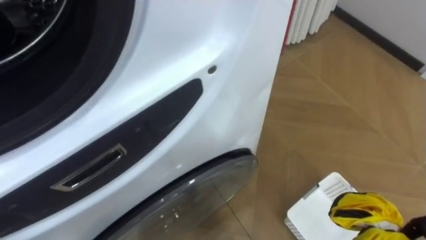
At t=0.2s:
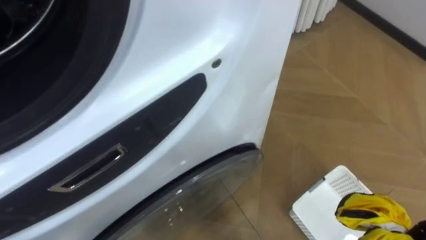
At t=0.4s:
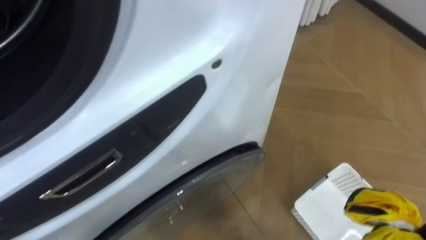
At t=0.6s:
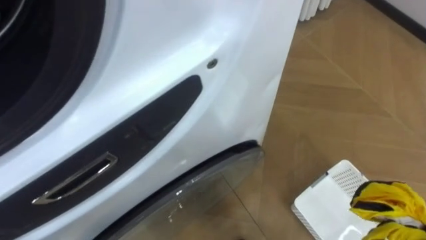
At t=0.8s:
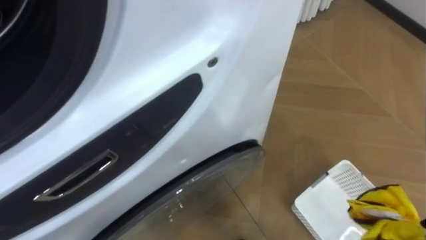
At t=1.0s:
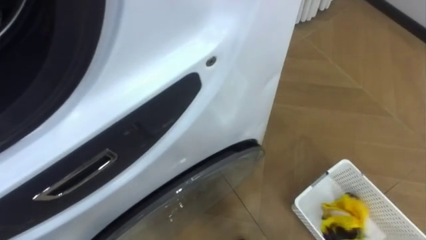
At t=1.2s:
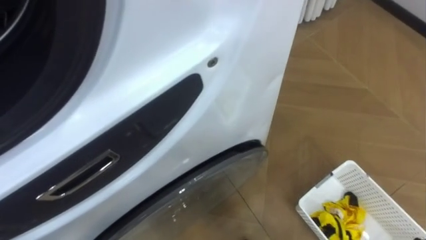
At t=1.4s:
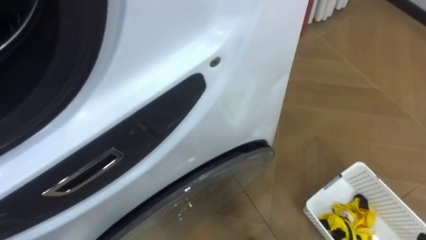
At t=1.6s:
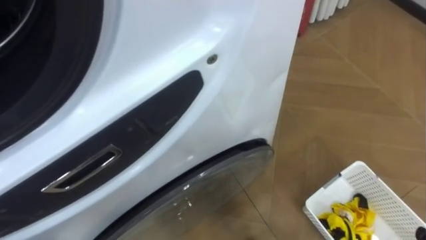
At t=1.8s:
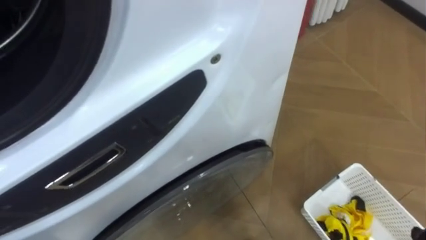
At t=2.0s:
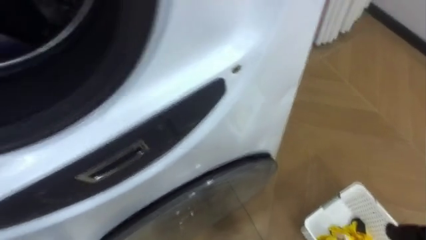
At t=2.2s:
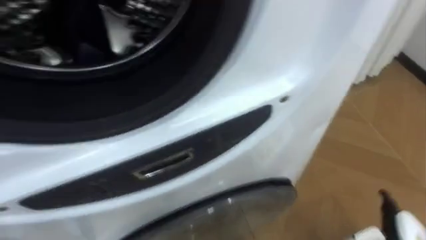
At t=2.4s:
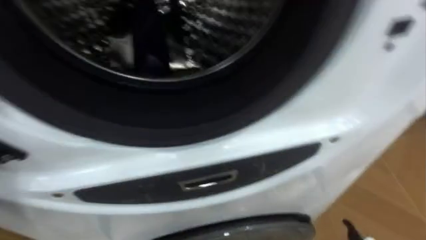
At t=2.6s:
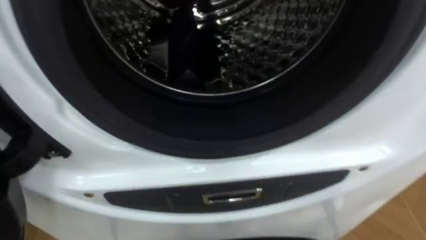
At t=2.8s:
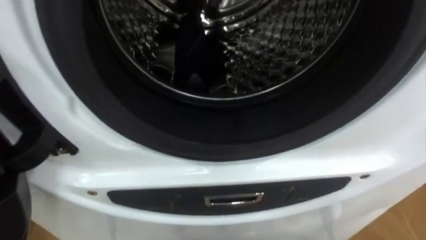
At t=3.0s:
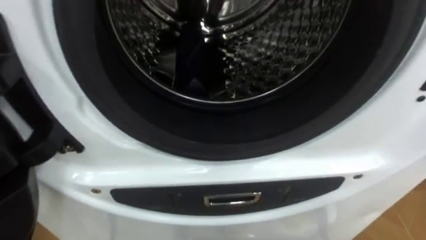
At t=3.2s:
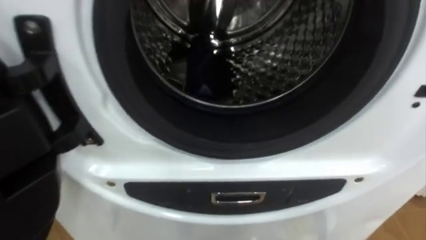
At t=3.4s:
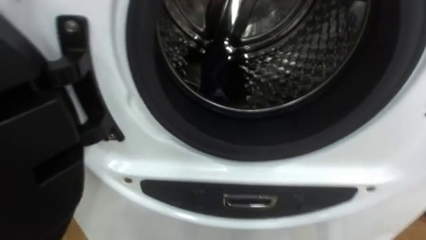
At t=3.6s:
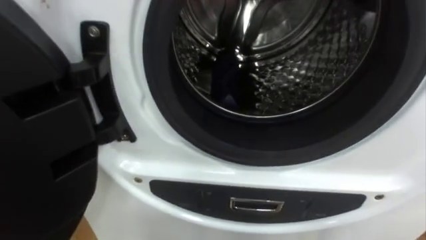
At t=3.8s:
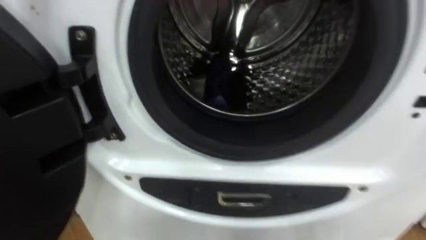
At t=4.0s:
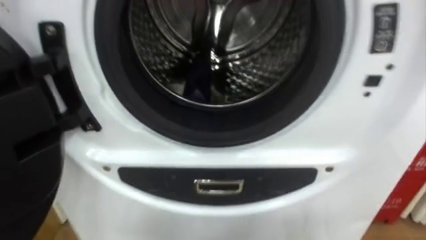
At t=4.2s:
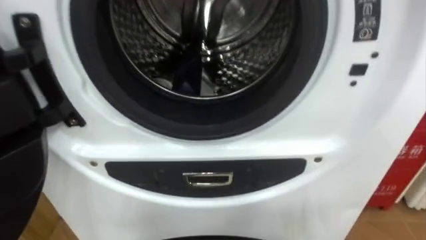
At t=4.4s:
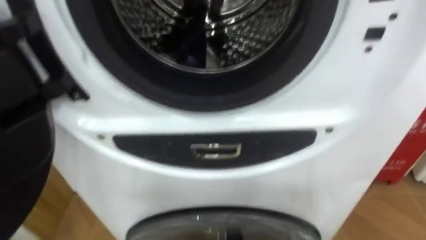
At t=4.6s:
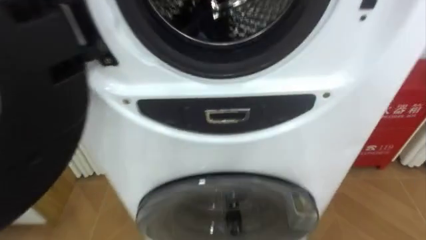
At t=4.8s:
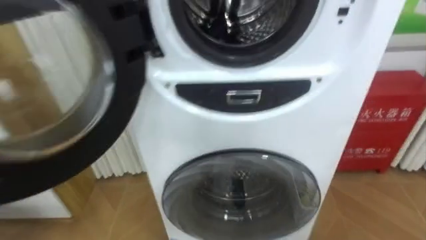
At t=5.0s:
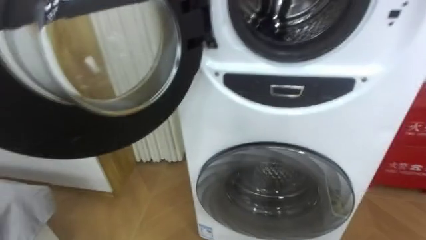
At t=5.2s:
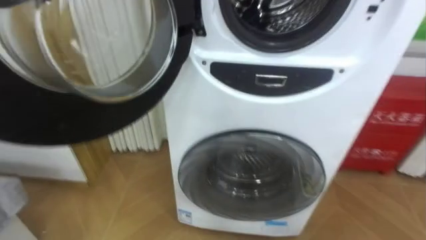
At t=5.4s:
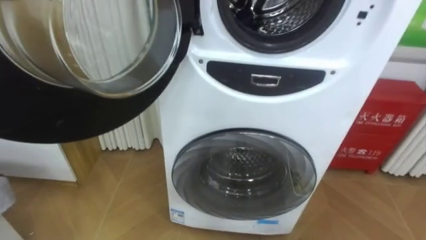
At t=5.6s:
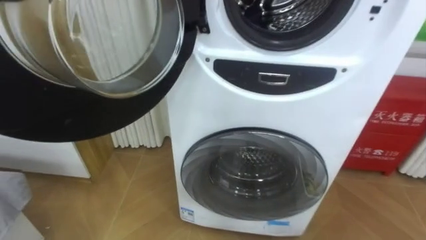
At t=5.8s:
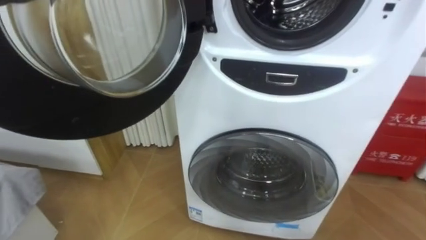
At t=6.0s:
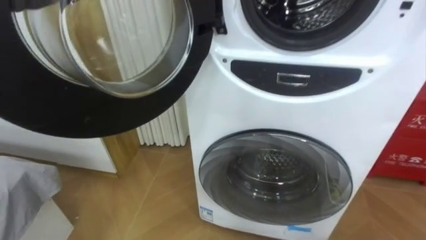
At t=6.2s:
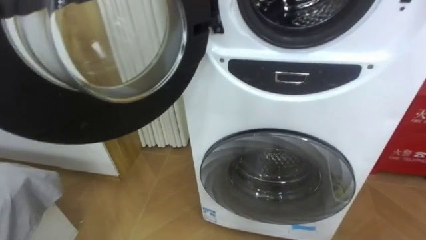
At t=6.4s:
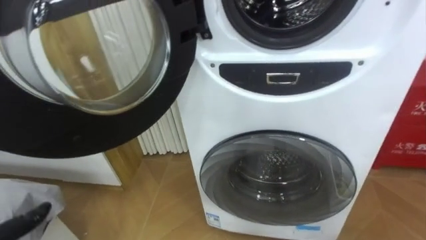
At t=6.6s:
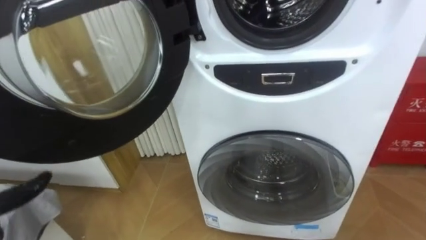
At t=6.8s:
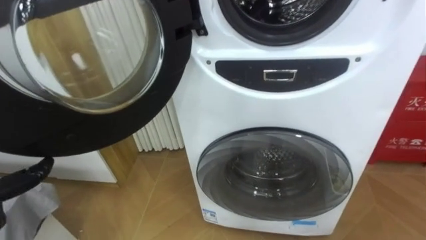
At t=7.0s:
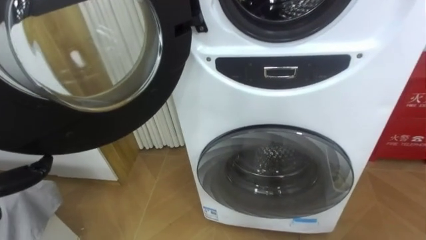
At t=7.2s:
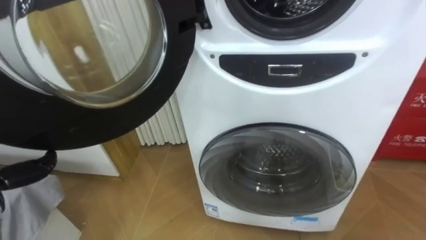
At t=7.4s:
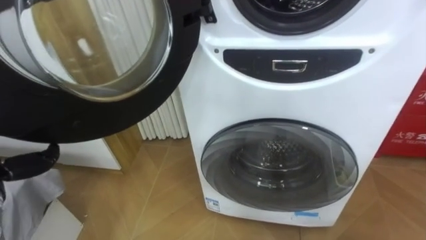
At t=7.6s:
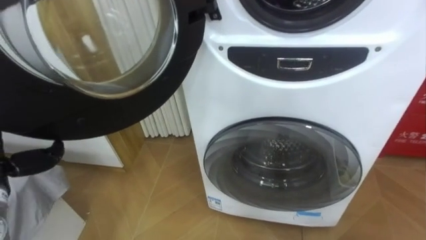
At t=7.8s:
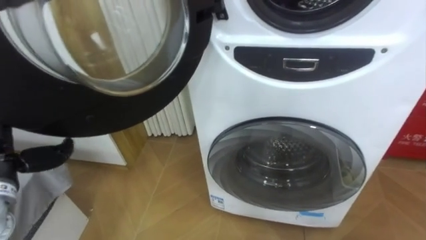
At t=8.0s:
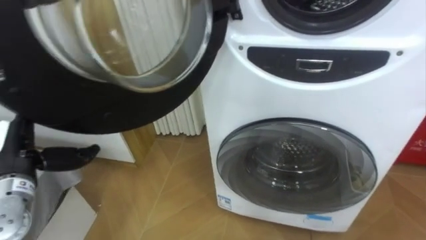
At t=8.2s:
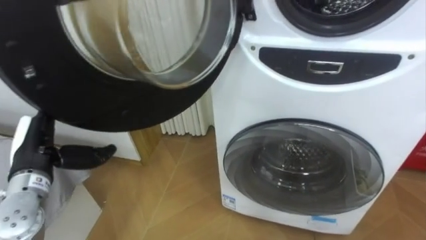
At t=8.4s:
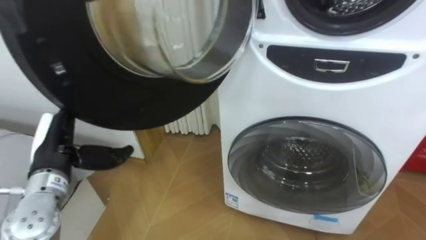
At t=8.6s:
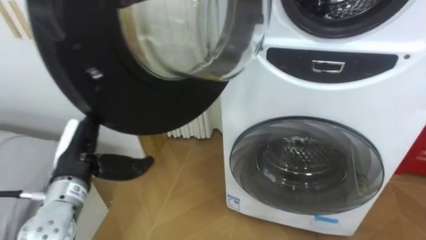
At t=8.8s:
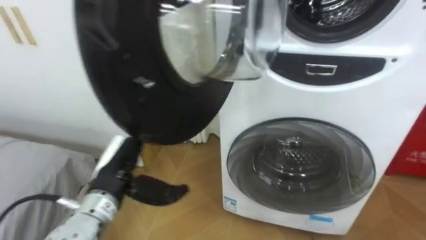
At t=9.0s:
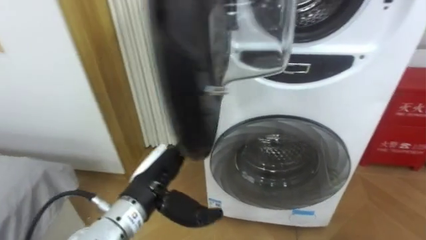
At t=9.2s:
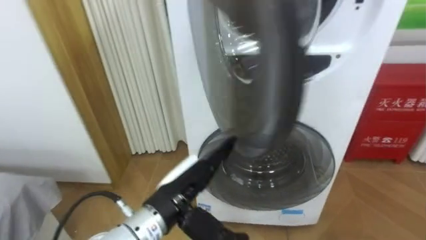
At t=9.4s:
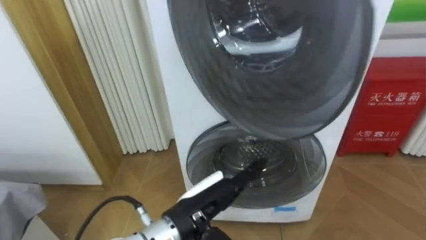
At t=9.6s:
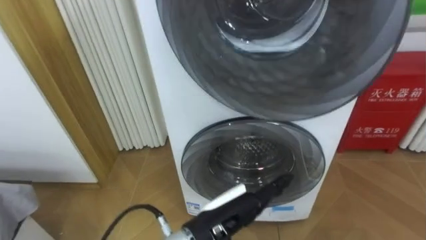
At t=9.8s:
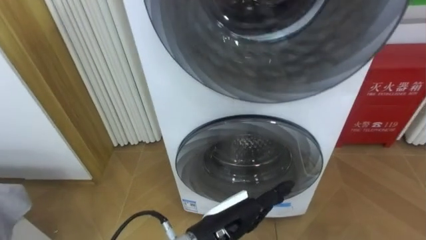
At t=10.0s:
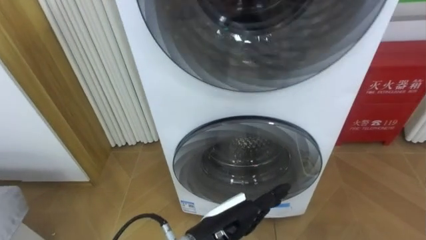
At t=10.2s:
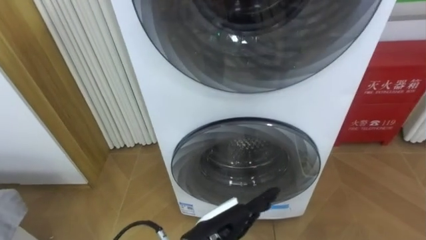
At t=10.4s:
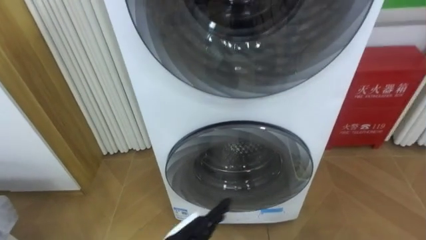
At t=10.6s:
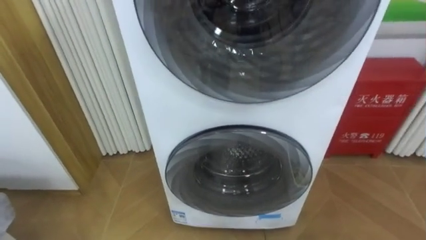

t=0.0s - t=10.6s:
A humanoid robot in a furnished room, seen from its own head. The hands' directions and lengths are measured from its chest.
Task of the whole recording: Open the washing machine door, take out the yellow clothes, place them in the box on the right, and close the washing machine door.
t=1.6s - t=3.0s: The robot faces about 20 degrees further to its left.
